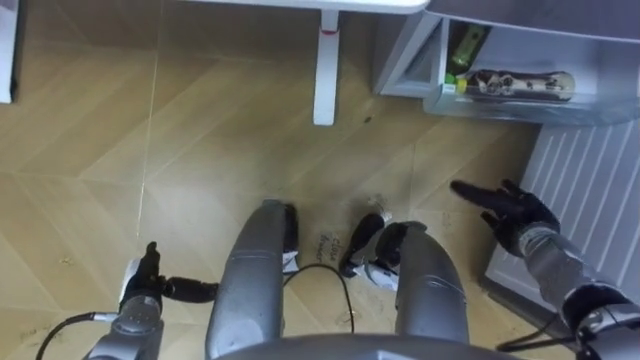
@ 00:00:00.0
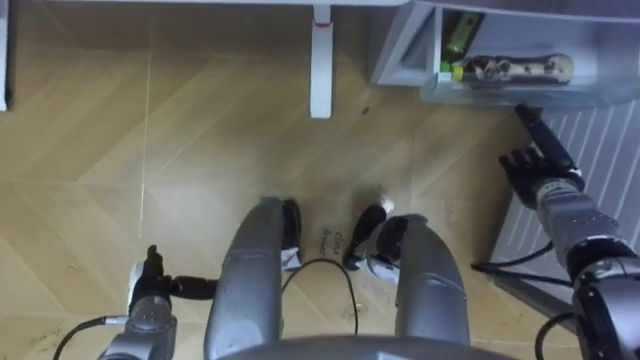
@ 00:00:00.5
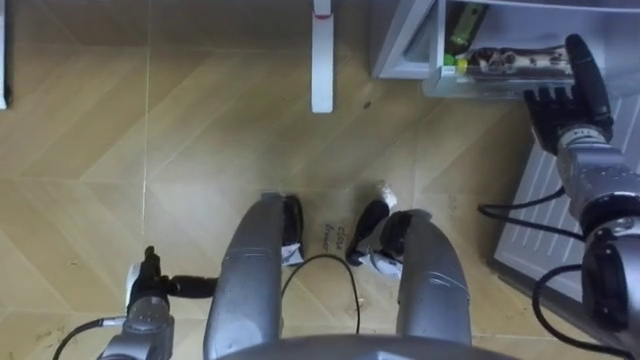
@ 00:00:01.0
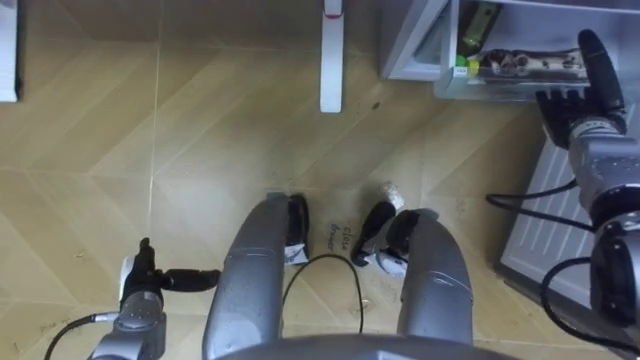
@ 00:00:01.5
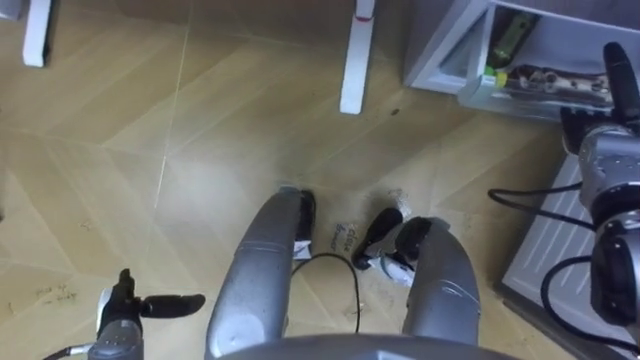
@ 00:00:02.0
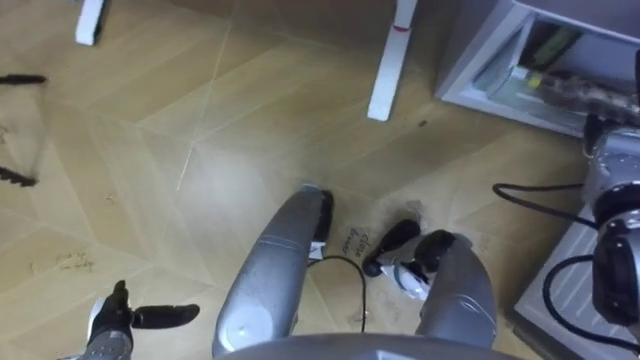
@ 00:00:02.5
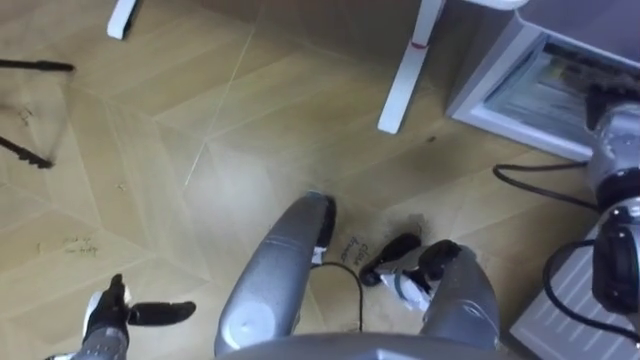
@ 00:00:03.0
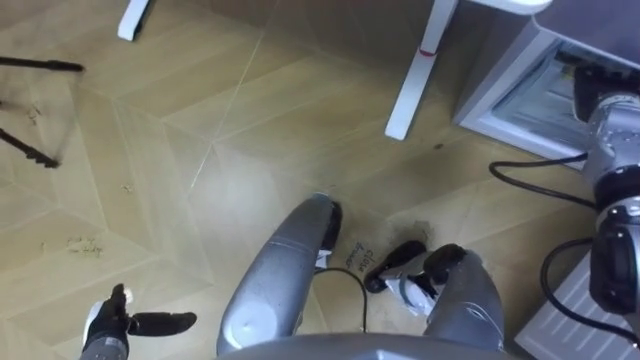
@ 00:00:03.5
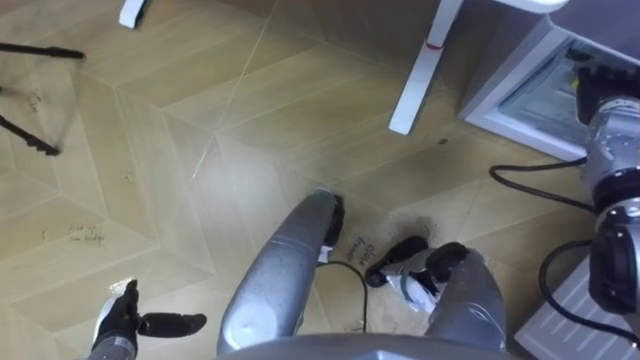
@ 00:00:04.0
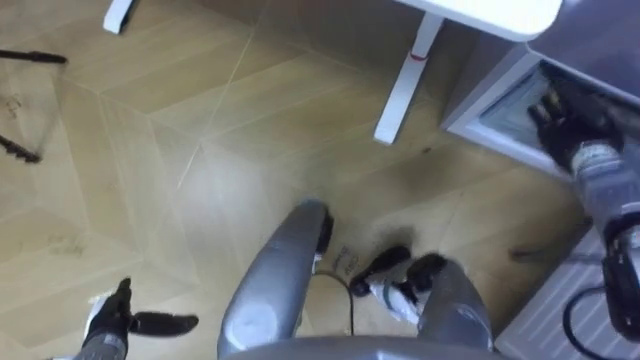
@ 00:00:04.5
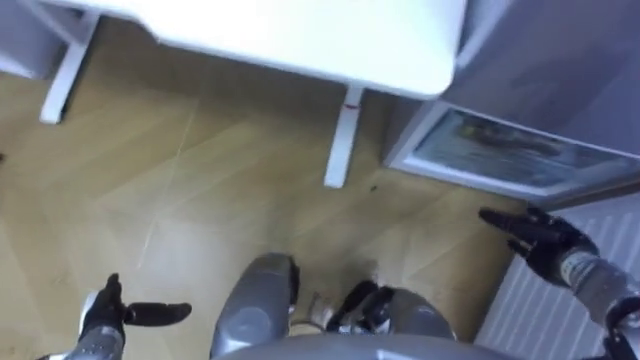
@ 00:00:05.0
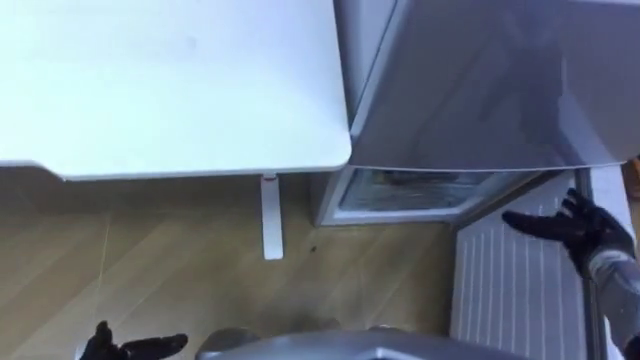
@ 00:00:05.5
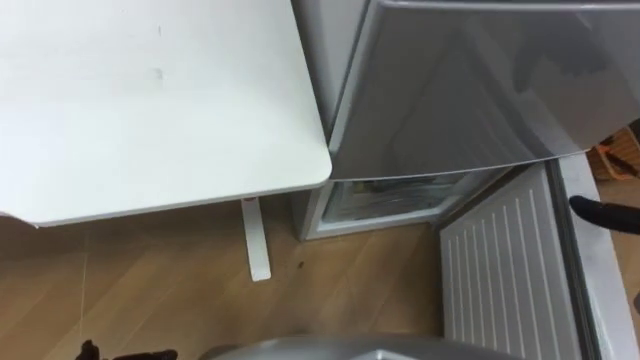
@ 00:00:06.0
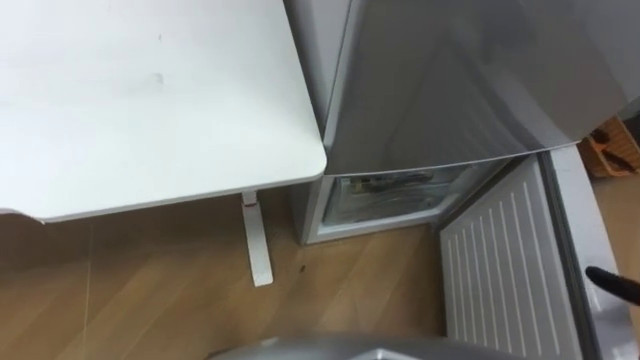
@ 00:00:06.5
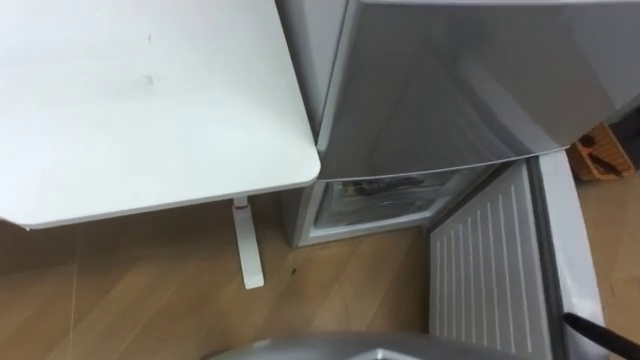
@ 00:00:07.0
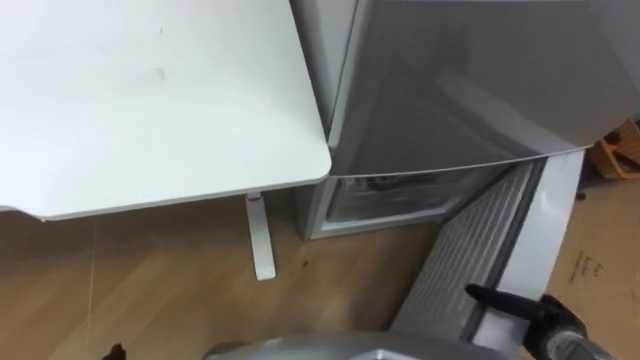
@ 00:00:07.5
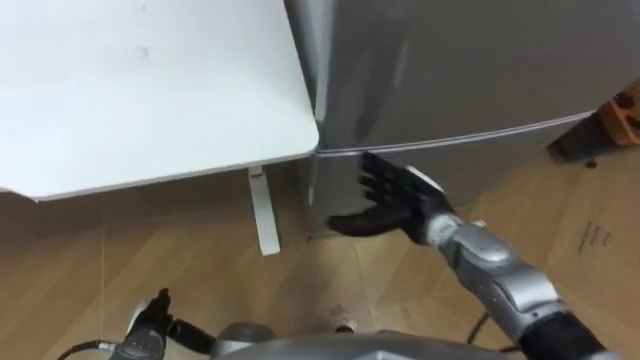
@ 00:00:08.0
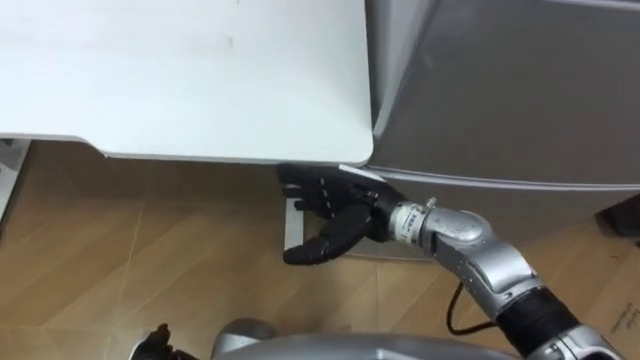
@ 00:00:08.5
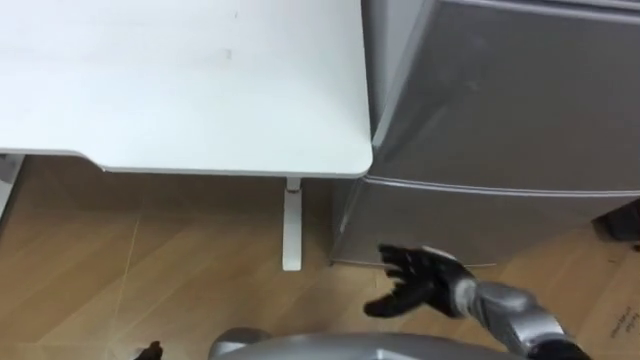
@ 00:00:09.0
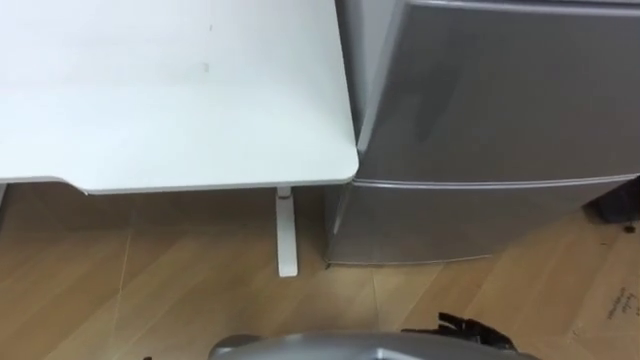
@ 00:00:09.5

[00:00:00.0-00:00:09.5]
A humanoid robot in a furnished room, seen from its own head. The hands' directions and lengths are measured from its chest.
Task of the whole recording: Place the drink on the table on the bottom shelf of the refrigerator, then close the drawer and the refrigerator door.
00:00:00.0 to 00:00:02.0: The right hand shifts approximately 15 cm upward, forward and to the right.
00:00:04.0 to 00:00:05.5: The right hand travels backward and downward by about 20 cm.
00:00:07.5 to 00:00:09.5: The right hand travels to the left by about 10 cm.

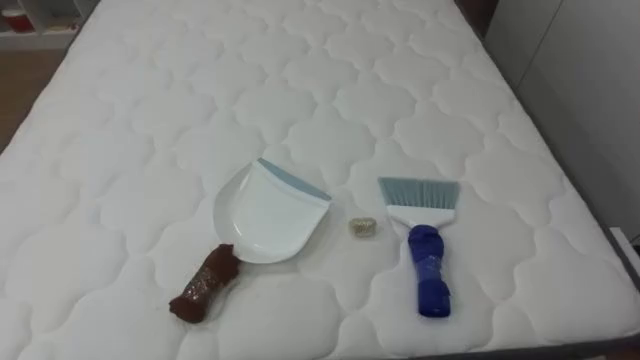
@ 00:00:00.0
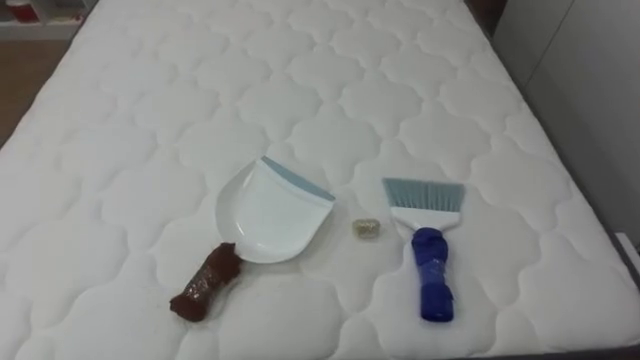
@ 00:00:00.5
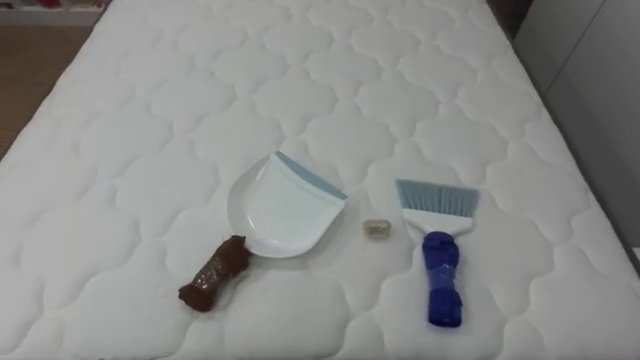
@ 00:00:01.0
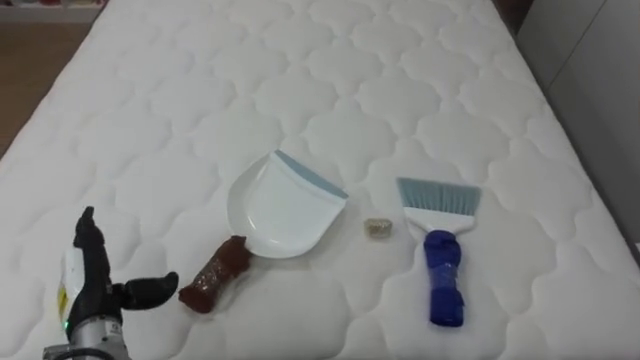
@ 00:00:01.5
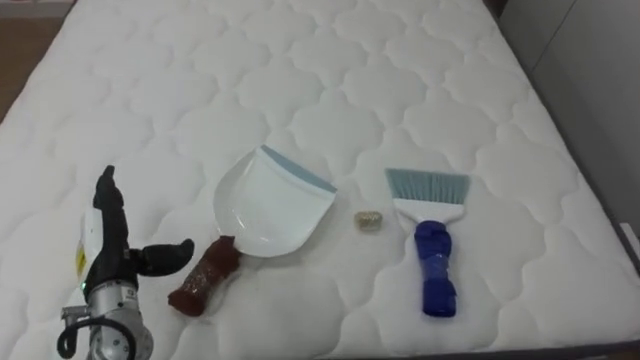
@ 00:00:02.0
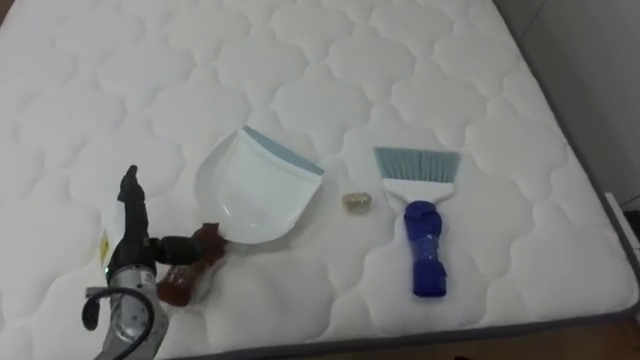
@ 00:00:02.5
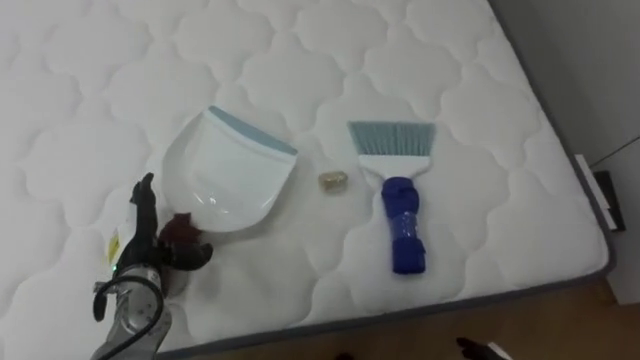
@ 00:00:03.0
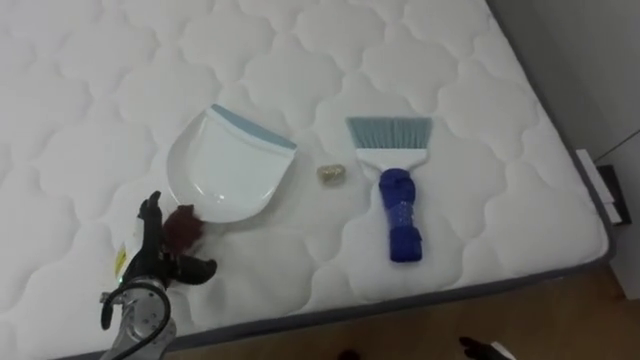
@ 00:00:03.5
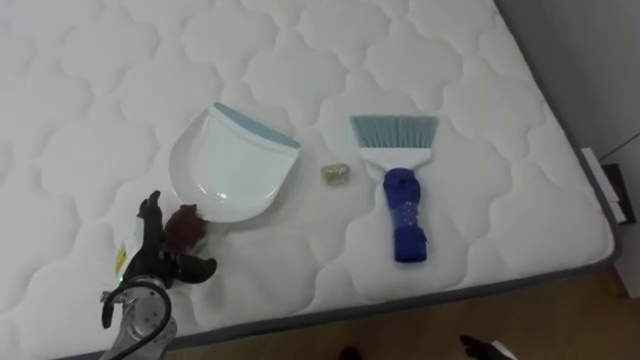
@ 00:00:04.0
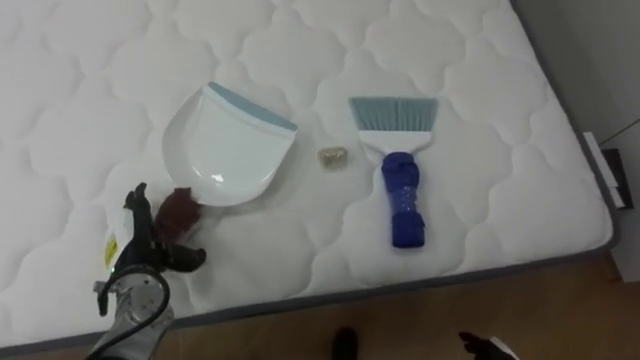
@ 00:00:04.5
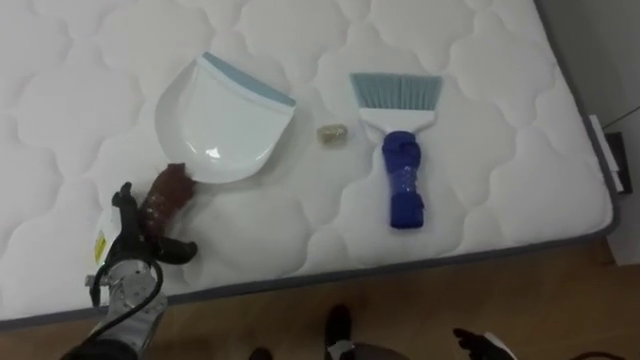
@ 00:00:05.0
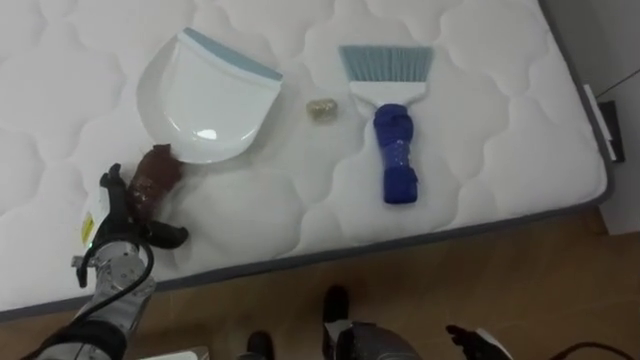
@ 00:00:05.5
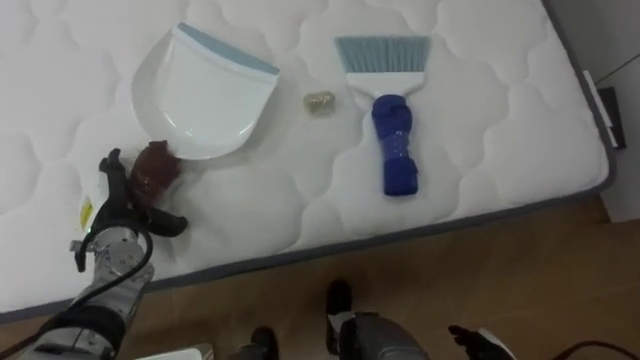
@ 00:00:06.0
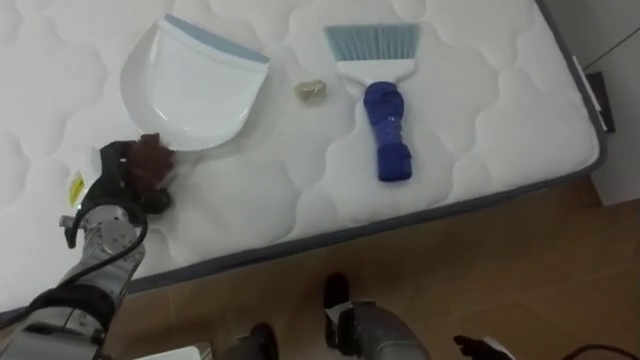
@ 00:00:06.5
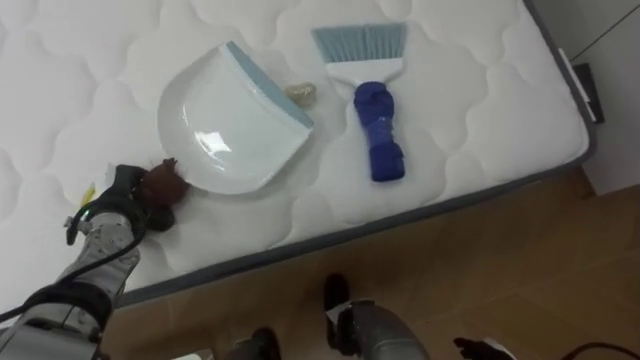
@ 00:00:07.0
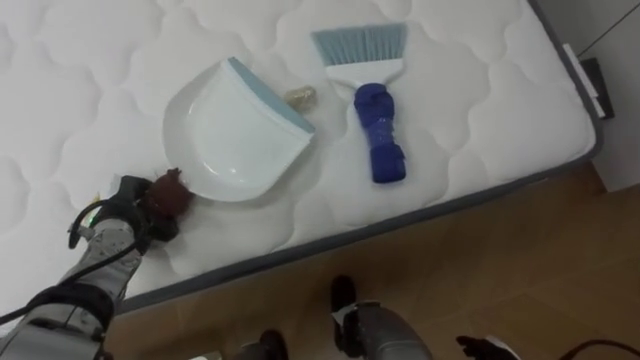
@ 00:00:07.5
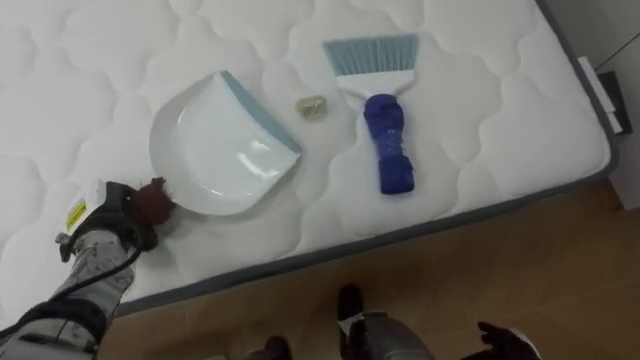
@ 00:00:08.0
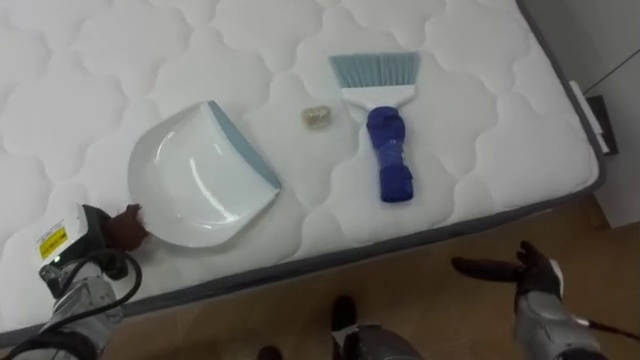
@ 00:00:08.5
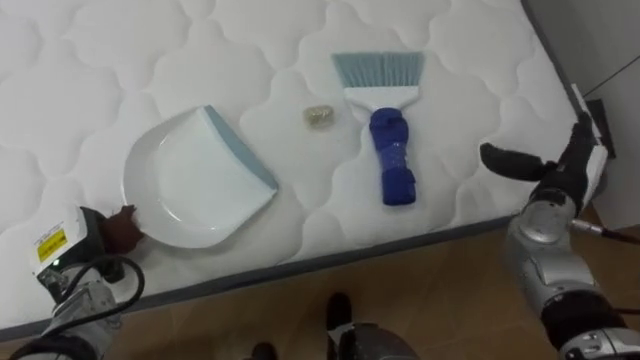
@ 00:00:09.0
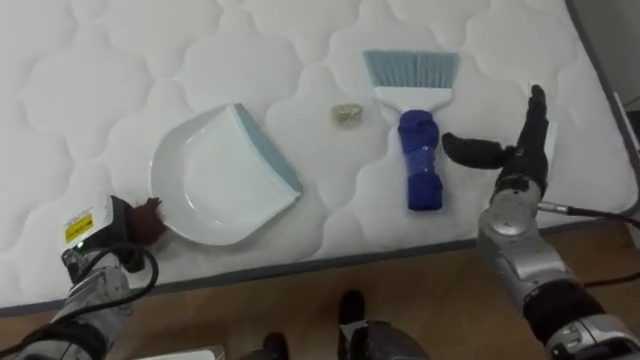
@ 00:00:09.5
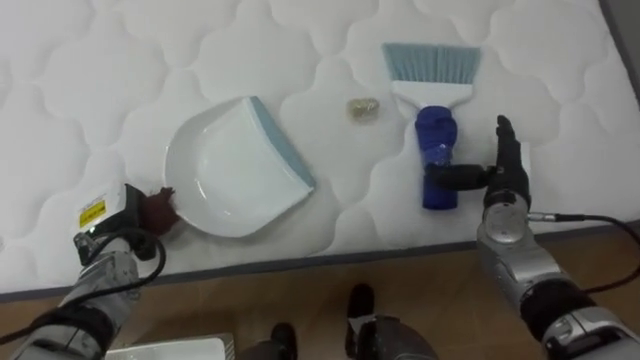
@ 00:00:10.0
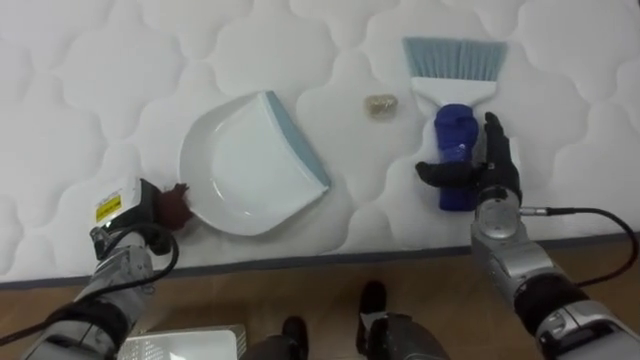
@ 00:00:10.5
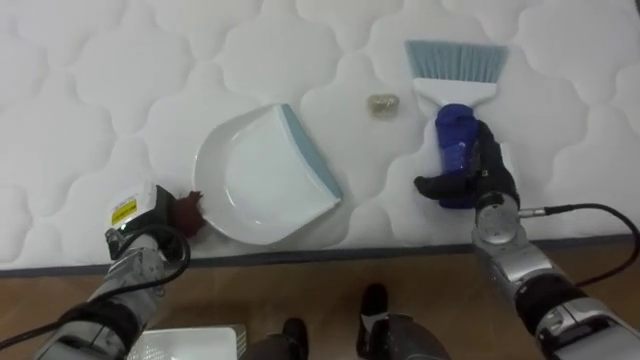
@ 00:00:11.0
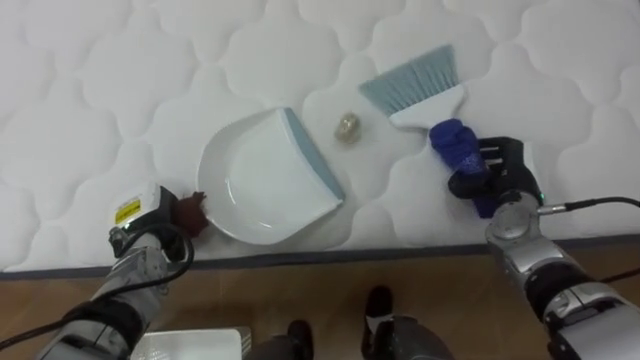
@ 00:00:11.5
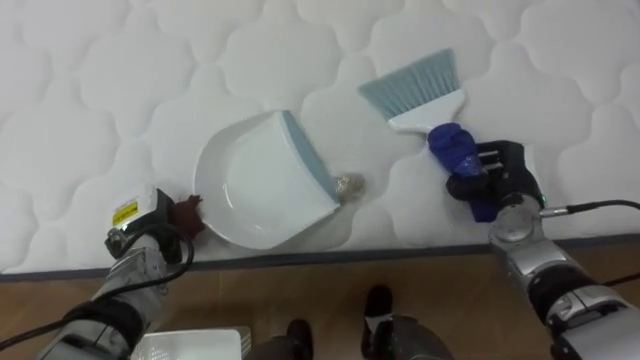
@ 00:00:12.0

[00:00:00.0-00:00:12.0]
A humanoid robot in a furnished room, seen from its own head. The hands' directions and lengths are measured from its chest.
Task of the whole recording: Pick up the brush on your right and the dustpan on your left. Use the brush to sweep the crumpled paper on the bed into the dustpan, then turn left and empty it into the basket.
00:00:02.0 to 00:00:04.0: The left hand goes approximately 5 cm downward.
00:00:04.0 to 00:00:06.0: The left hand travels forward by approximately 5 cm.
00:00:06.0 to 00:00:08.0: The left hand closes.
00:00:10.0 to 00:00:12.0: The right hand closes up.
